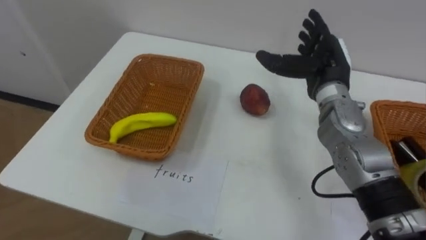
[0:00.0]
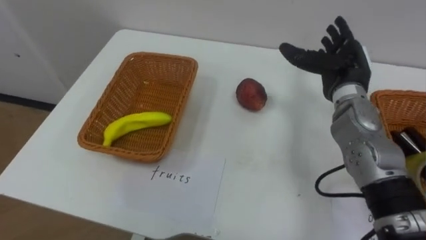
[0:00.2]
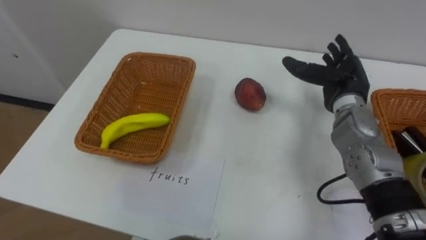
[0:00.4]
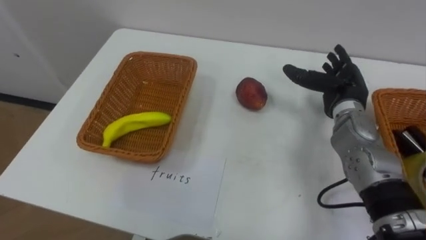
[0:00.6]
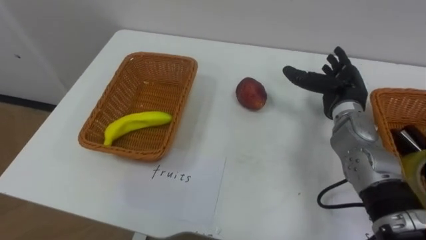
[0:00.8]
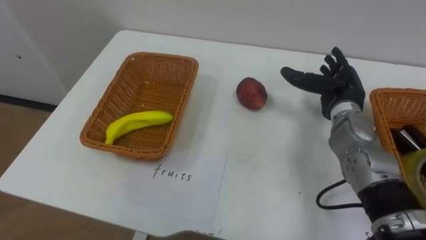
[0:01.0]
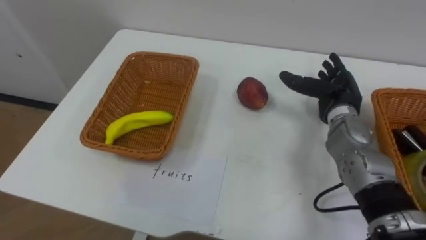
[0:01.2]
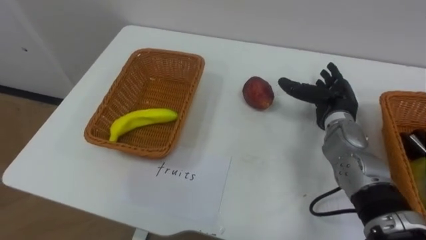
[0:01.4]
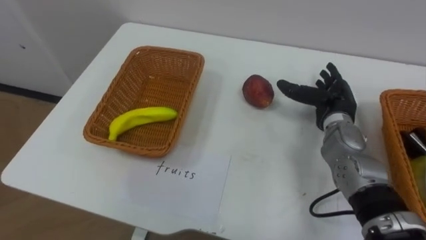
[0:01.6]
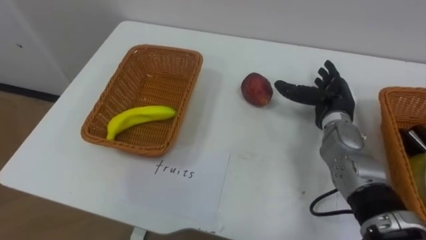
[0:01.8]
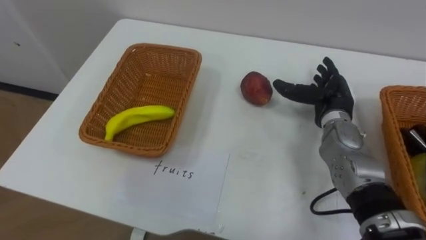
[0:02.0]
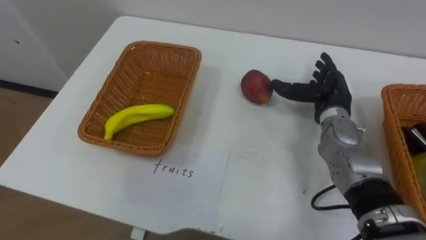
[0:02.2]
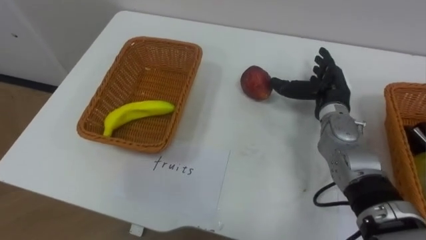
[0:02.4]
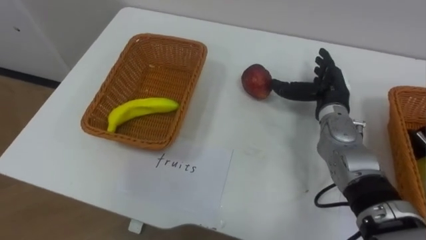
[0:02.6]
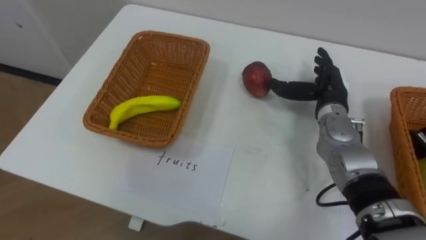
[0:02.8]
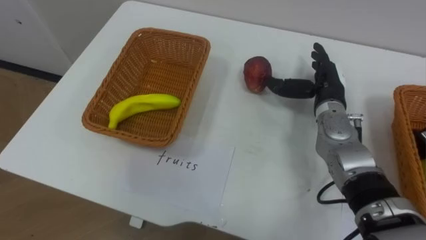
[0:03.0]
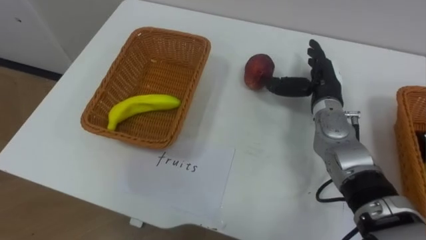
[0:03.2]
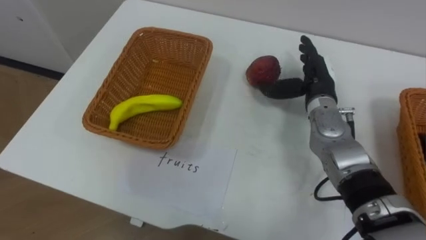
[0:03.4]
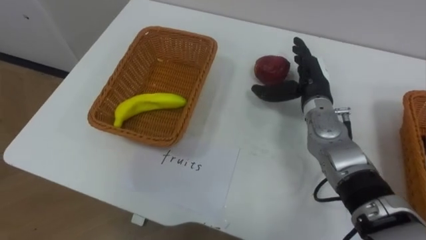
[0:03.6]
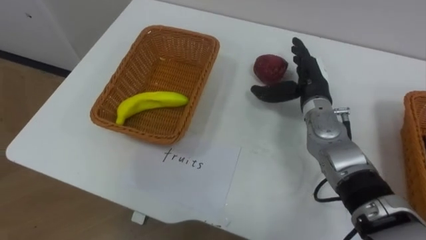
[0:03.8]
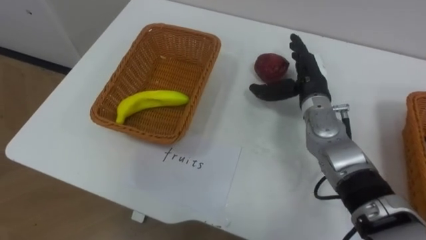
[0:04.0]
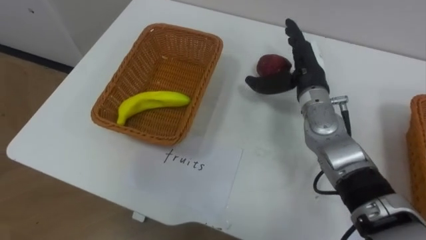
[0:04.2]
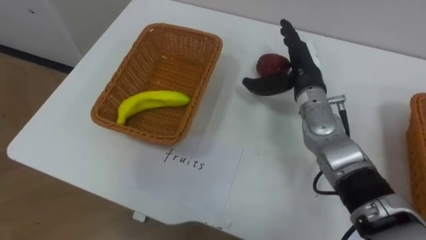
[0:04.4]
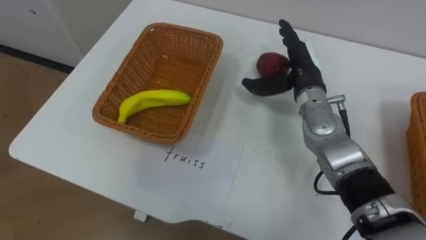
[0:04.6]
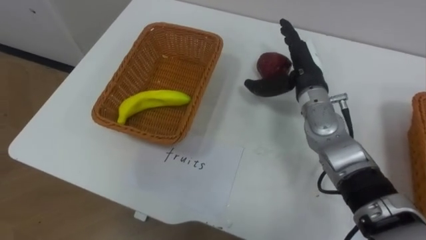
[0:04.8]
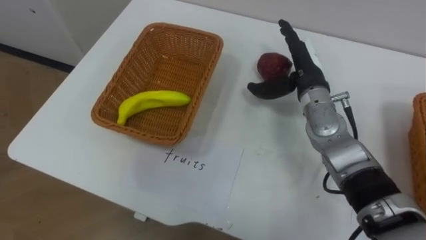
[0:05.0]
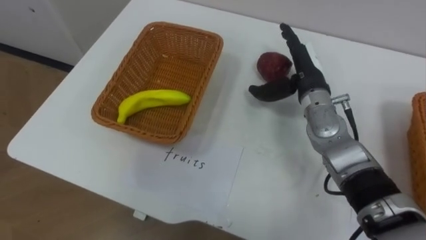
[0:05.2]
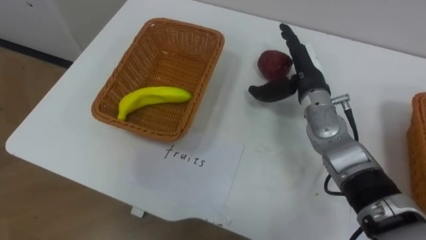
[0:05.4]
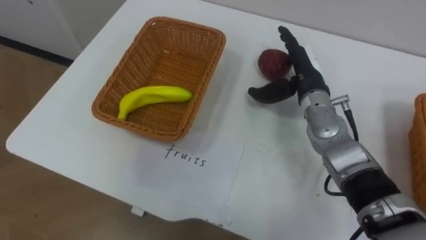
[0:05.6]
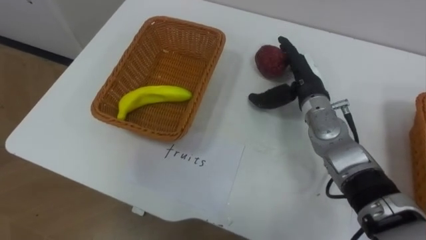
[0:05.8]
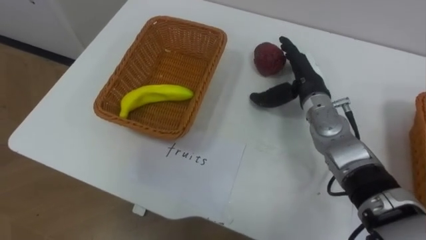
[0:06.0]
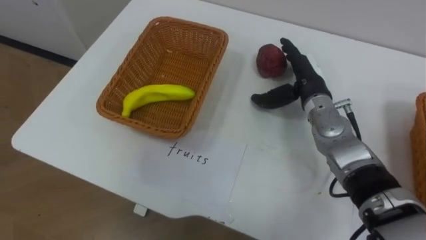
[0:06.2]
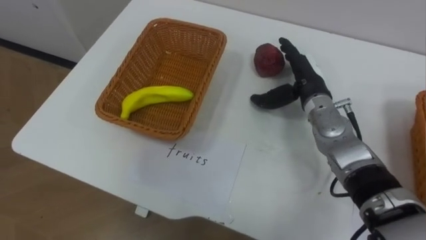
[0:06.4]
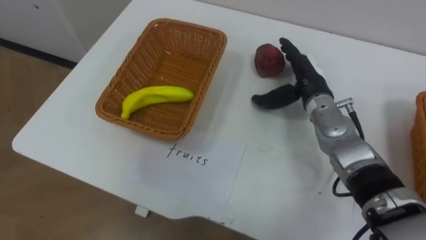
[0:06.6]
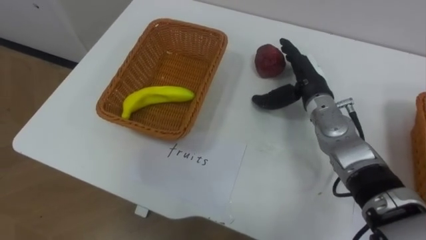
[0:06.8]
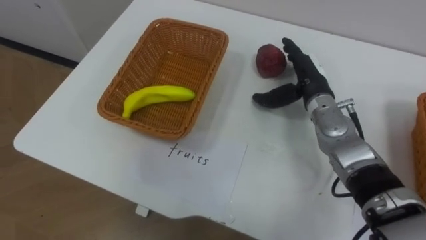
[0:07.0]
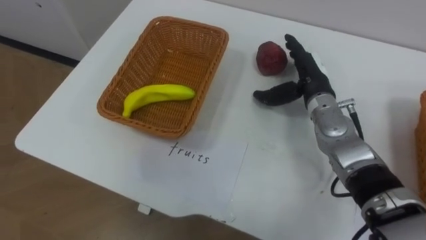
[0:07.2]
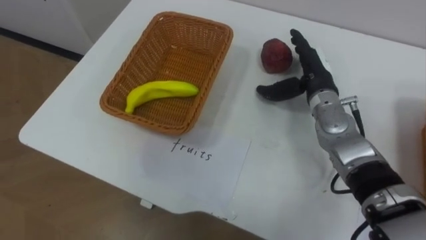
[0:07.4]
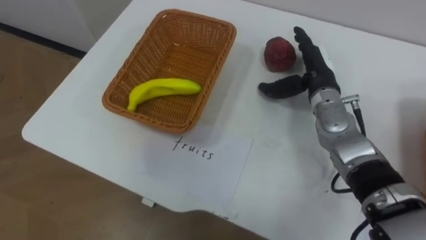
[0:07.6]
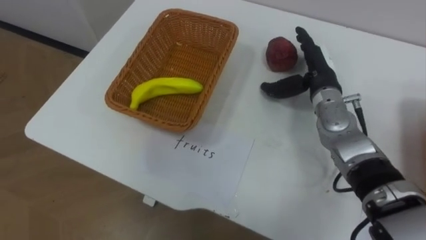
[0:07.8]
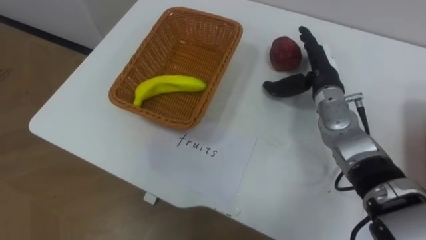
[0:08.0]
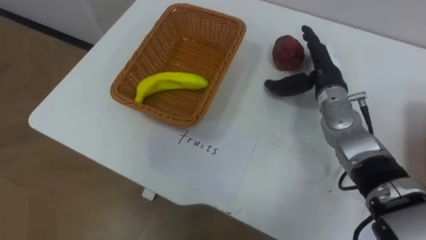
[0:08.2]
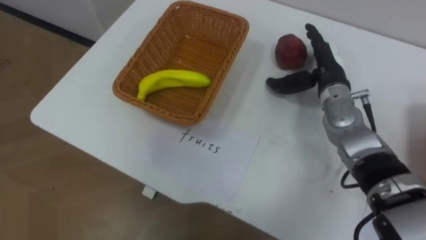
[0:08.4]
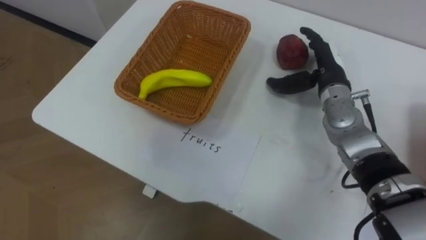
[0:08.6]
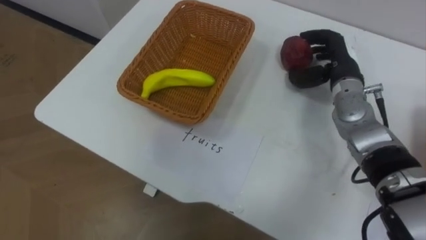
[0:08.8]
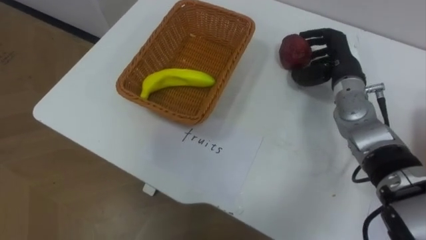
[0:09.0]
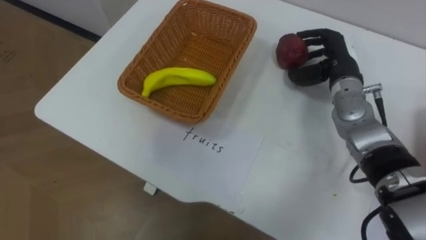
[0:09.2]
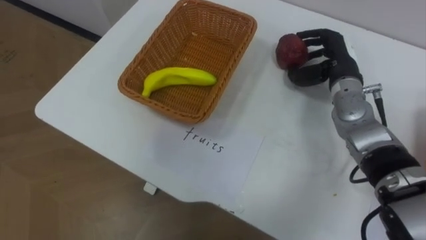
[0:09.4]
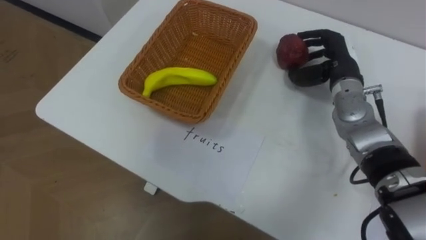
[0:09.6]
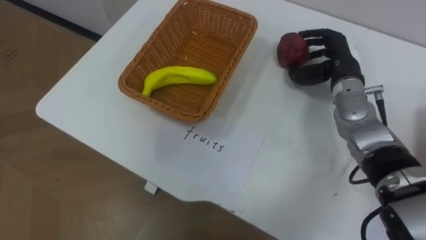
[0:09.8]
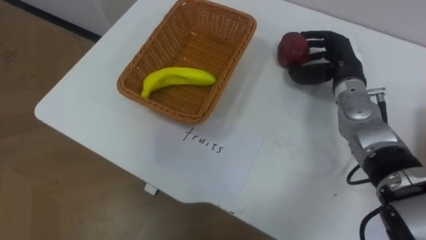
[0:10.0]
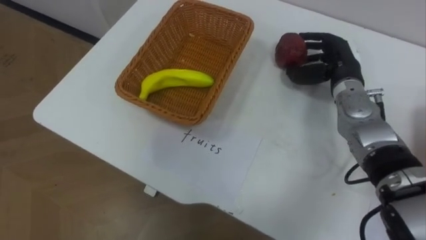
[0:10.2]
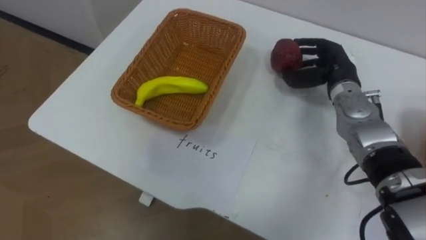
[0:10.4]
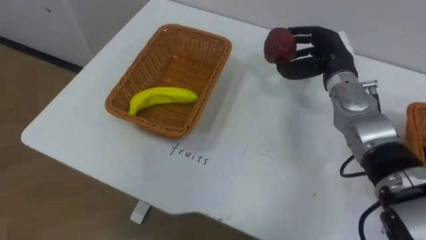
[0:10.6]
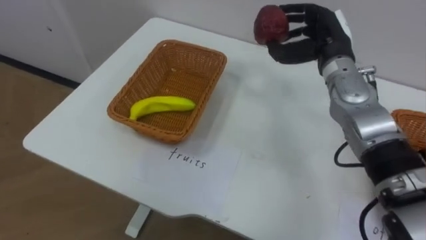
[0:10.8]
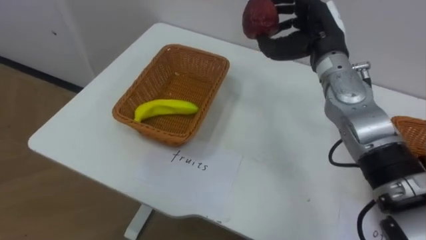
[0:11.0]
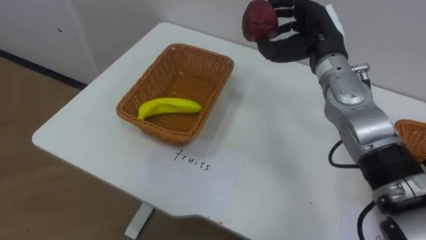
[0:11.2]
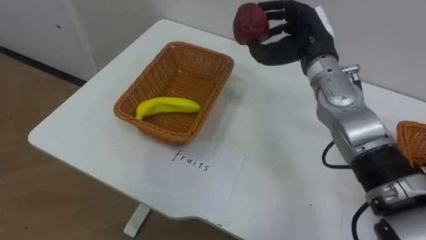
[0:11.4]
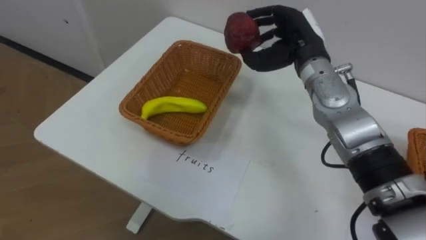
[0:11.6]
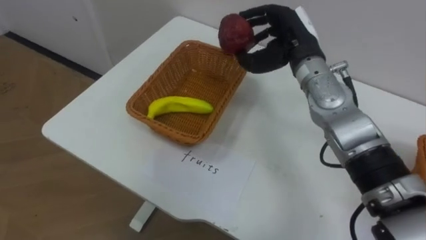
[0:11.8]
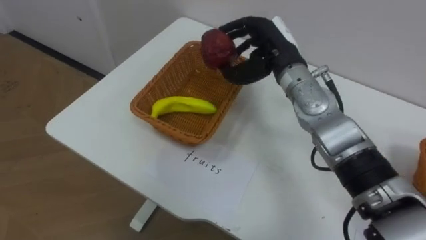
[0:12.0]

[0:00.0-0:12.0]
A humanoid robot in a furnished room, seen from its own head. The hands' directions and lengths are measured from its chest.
Task of the whole recording: Separate the items on the table and place them into the two baskets.
0:00.0 to 0:01.6: The right hand heads downward, covering approximately 10 cm.
0:03.0 to 0:04.4: The right hand shifts some 5 cm to the left.
0:07.6 to 0:09.0: The right hand closes up.
0:10.4 to 0:12.0: The right hand is displaced to the left and upward by roughly 15 cm.

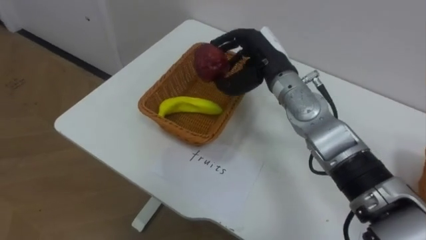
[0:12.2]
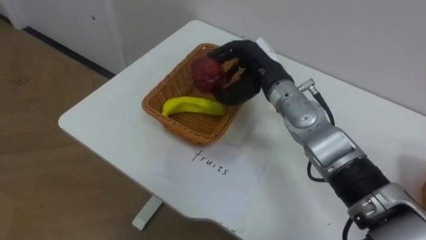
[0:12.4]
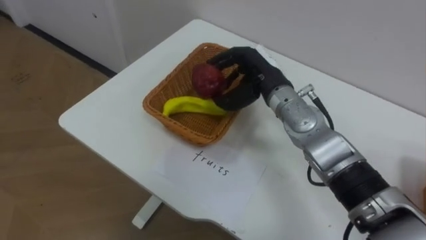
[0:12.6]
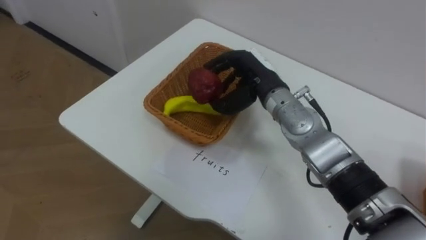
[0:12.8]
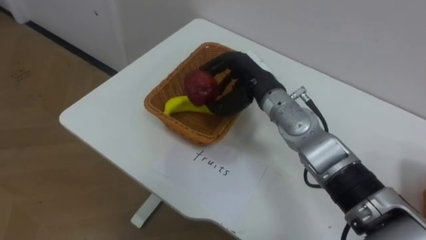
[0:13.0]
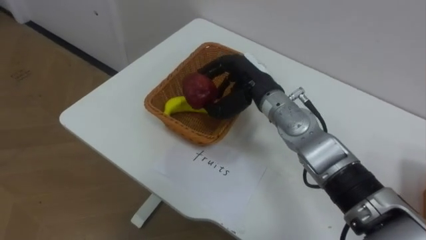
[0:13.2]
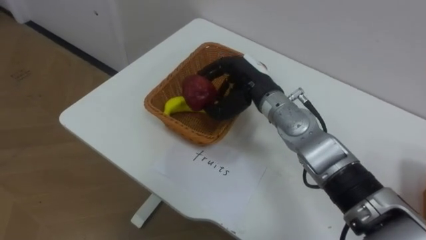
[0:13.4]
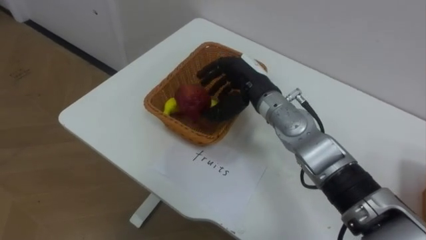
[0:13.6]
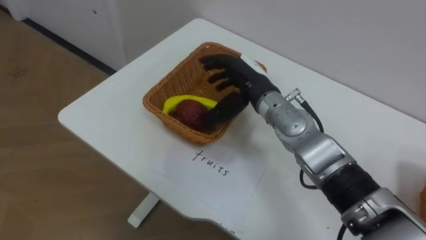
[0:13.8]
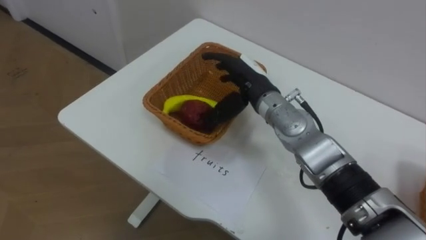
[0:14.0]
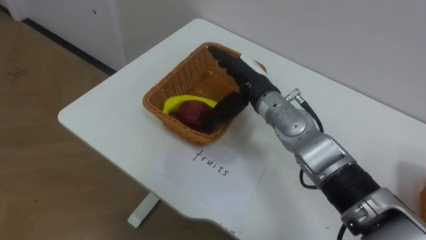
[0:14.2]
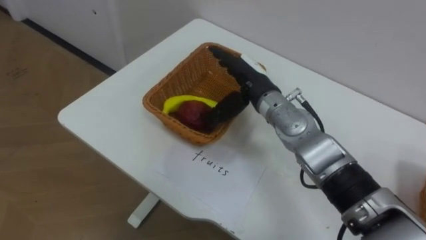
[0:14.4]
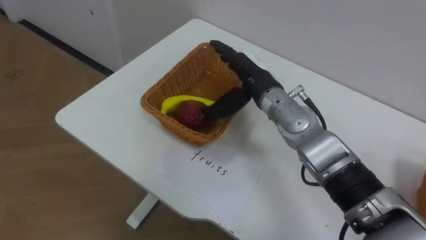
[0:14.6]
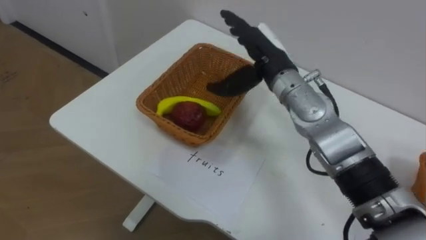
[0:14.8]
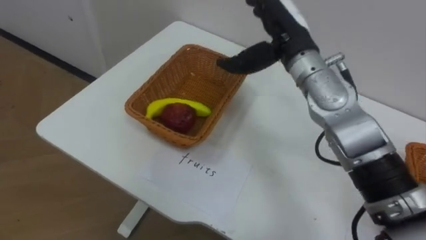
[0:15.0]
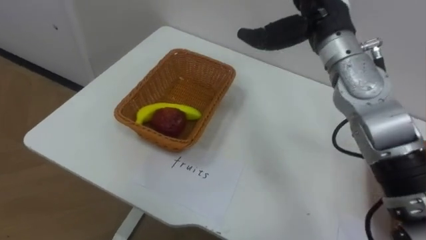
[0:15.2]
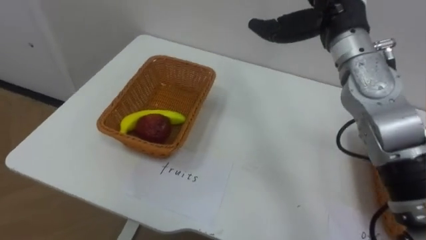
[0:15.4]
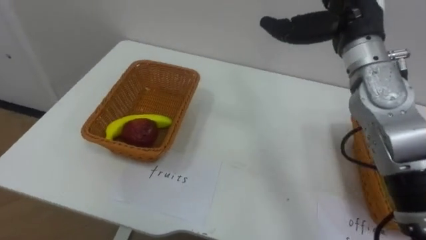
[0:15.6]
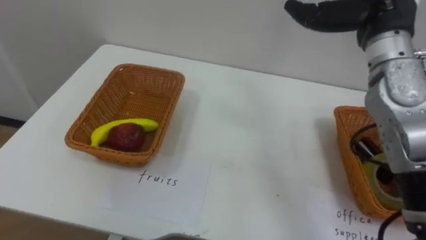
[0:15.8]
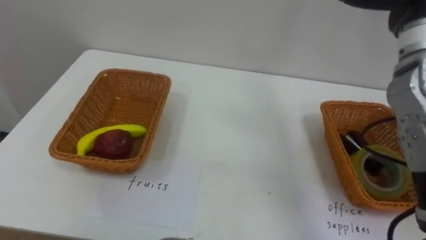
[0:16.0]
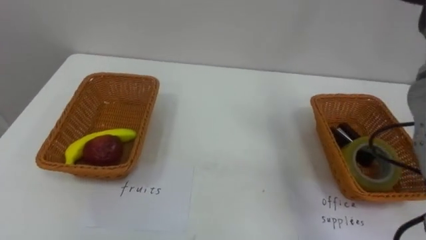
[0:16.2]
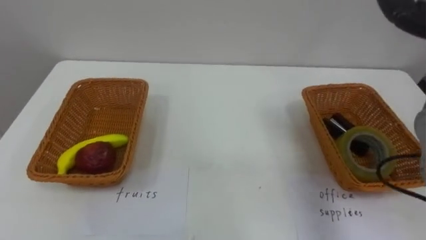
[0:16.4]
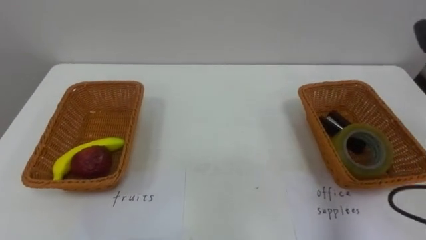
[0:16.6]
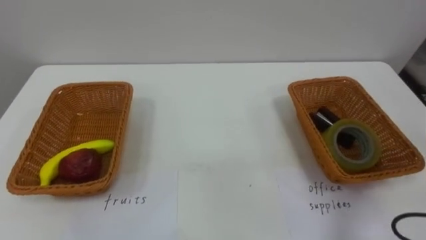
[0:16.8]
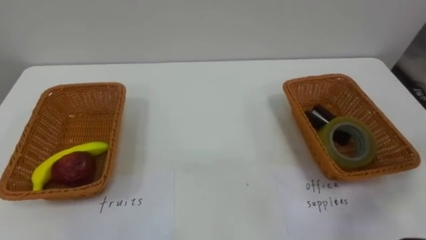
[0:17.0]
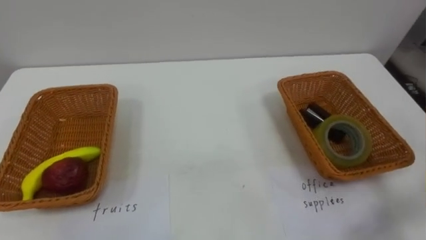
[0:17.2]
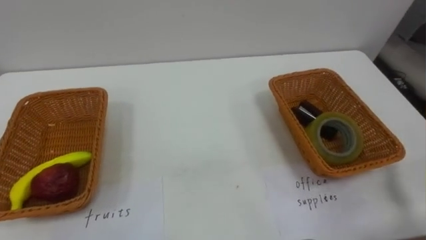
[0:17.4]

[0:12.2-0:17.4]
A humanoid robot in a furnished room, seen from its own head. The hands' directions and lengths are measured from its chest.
Task of the whole recording: Separate the items on the table and place them into the two baskets.
0:12.2 to 0:14.0: The right hand shifts by roughly 5 cm, and opens.
0:14.0 to 0:15.6: The right hand heads upward and to the right, covering approximately 20 cm.
